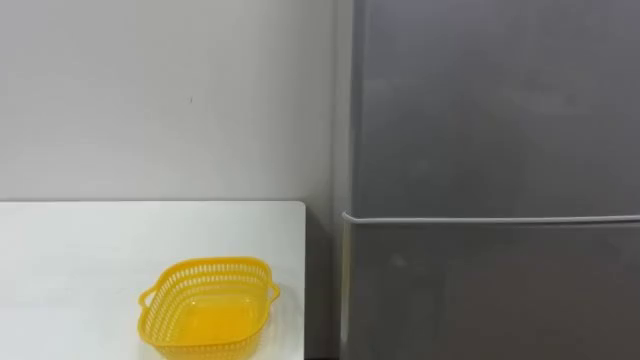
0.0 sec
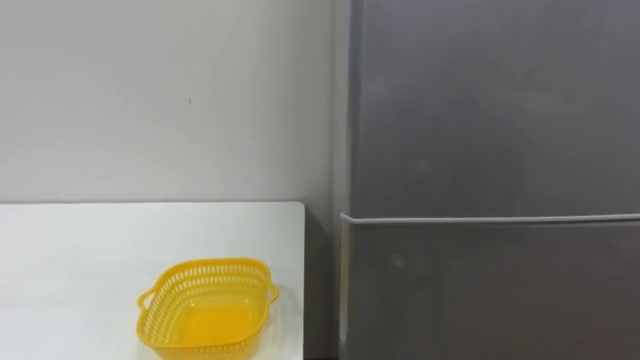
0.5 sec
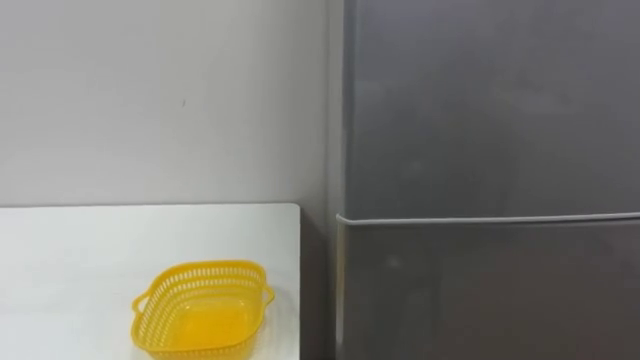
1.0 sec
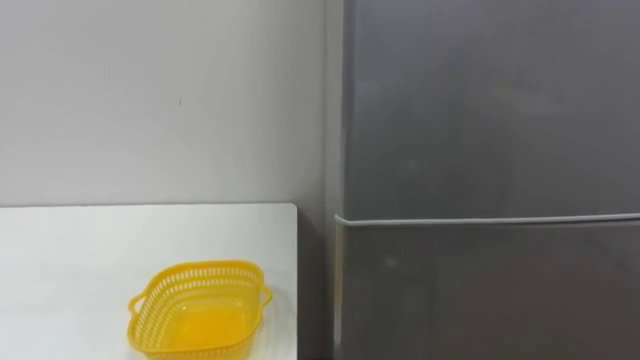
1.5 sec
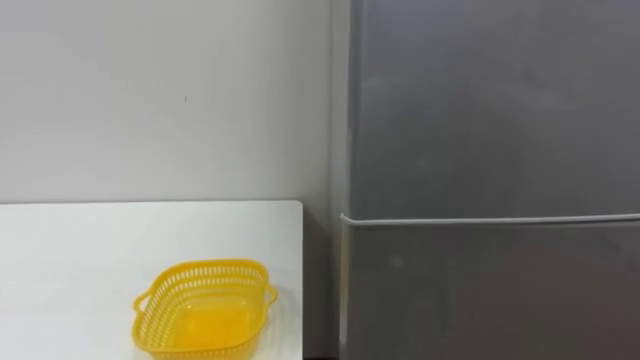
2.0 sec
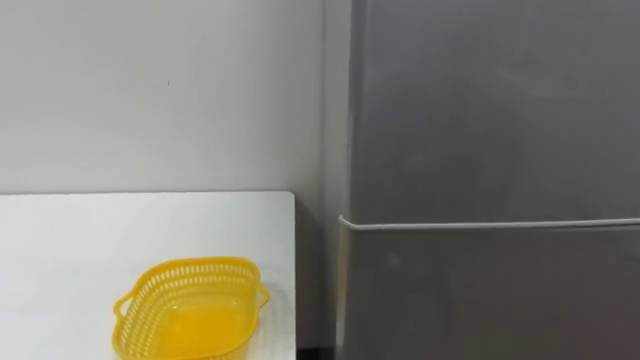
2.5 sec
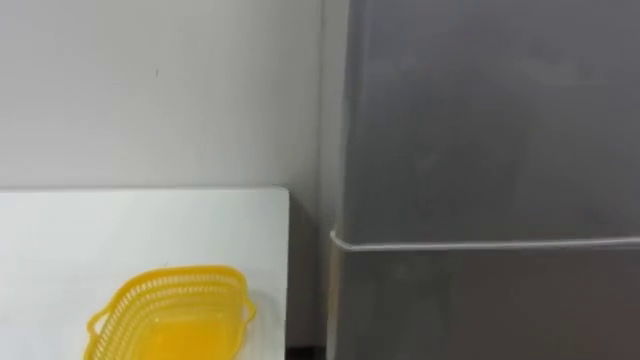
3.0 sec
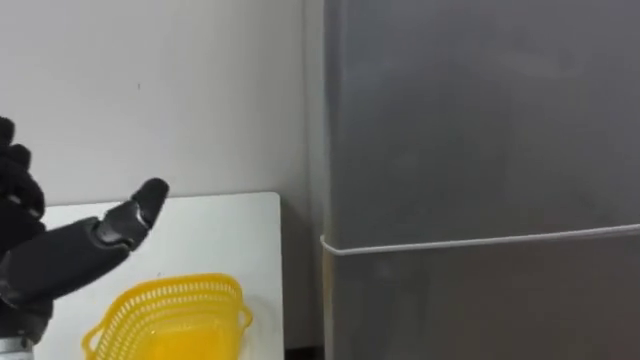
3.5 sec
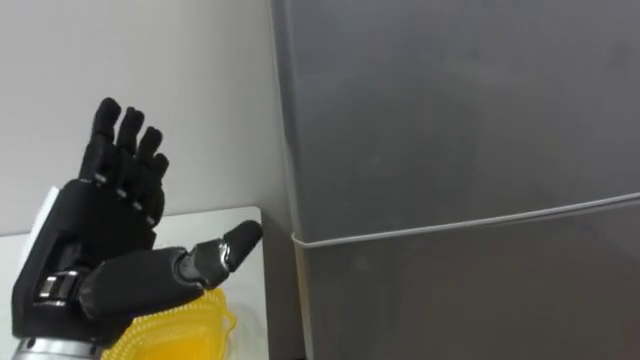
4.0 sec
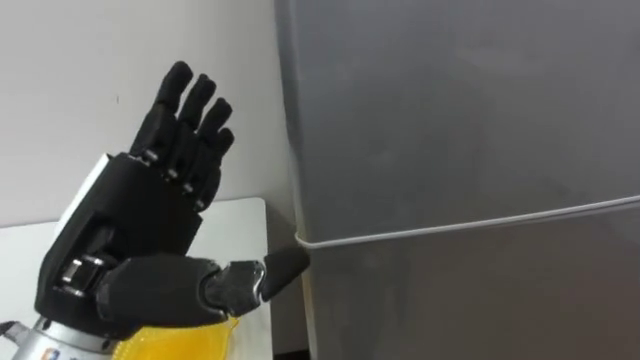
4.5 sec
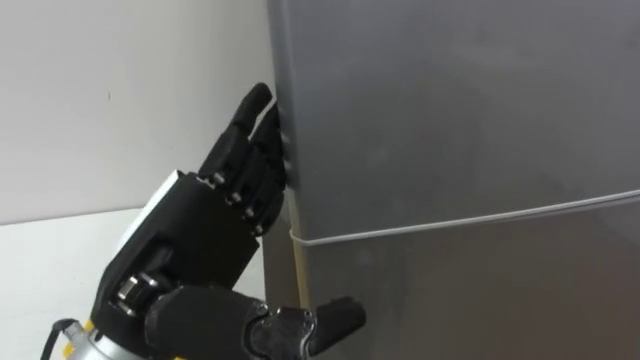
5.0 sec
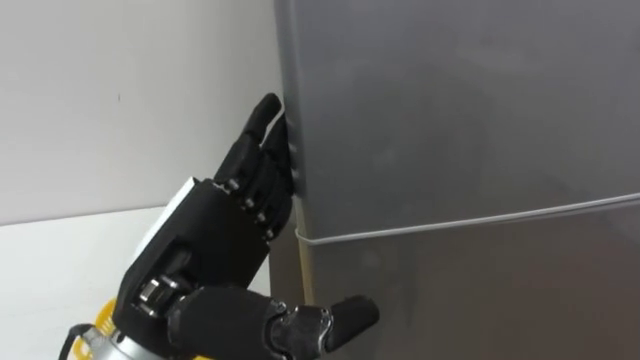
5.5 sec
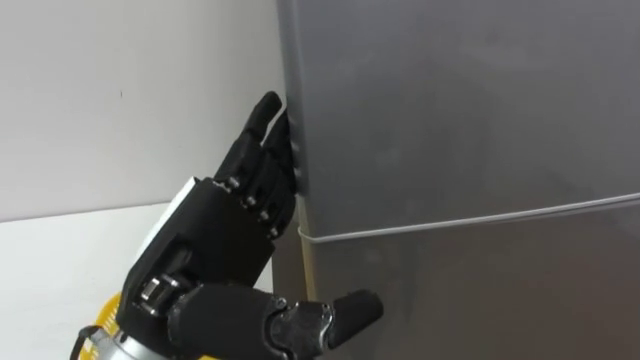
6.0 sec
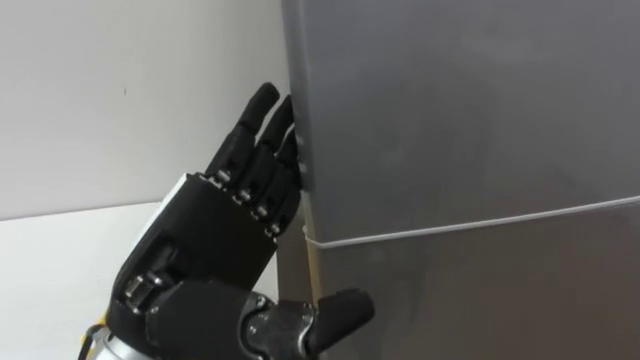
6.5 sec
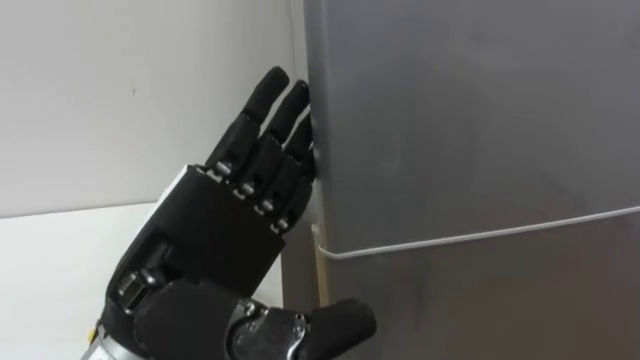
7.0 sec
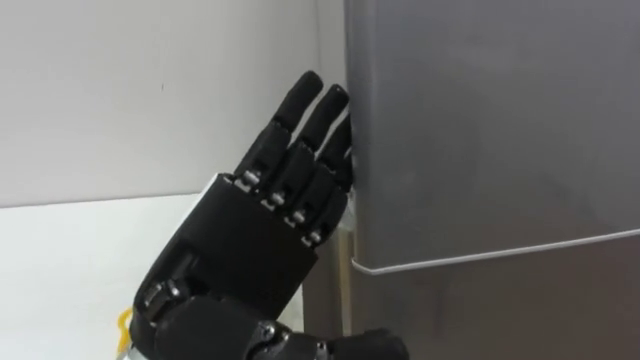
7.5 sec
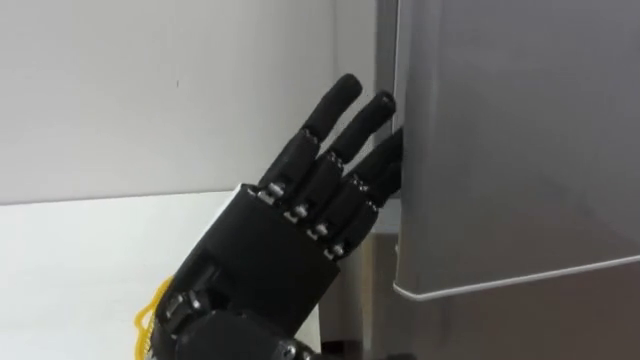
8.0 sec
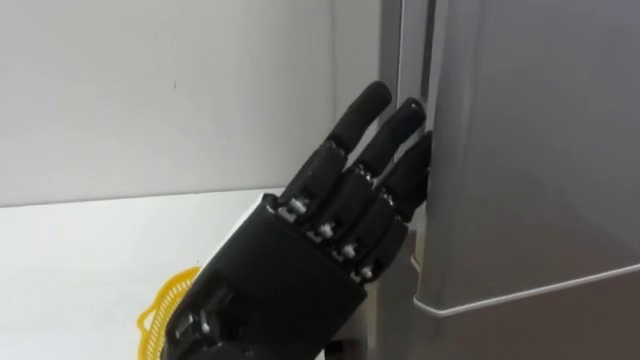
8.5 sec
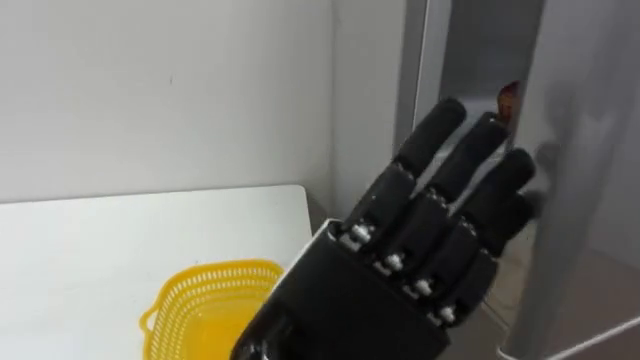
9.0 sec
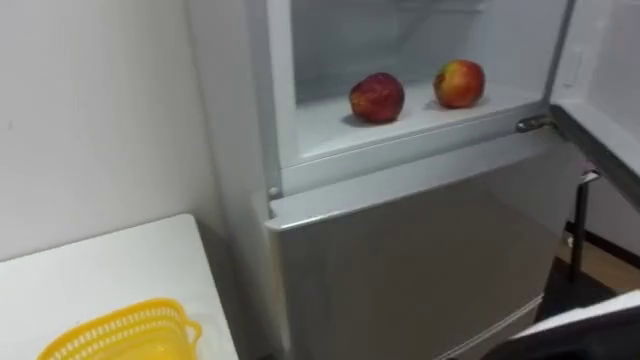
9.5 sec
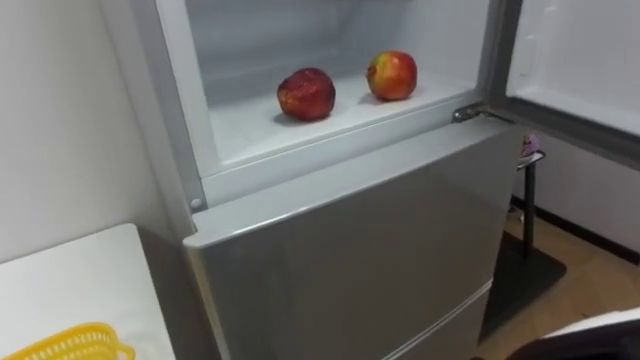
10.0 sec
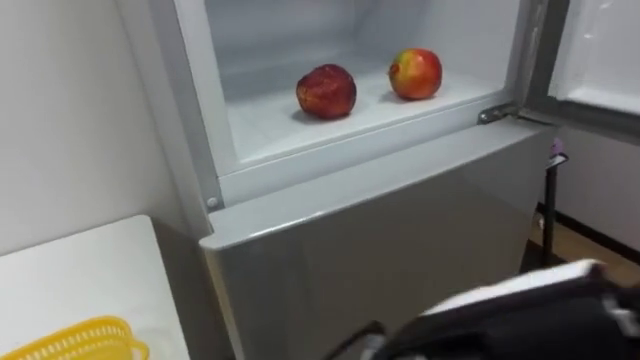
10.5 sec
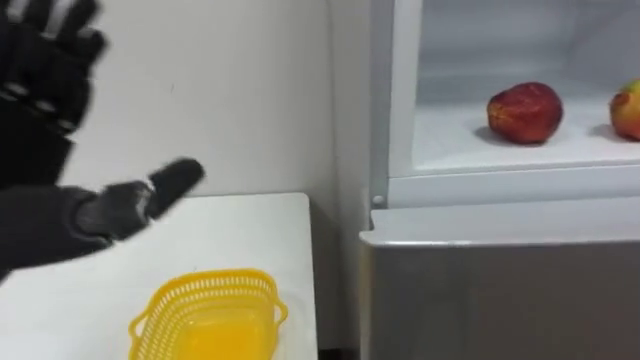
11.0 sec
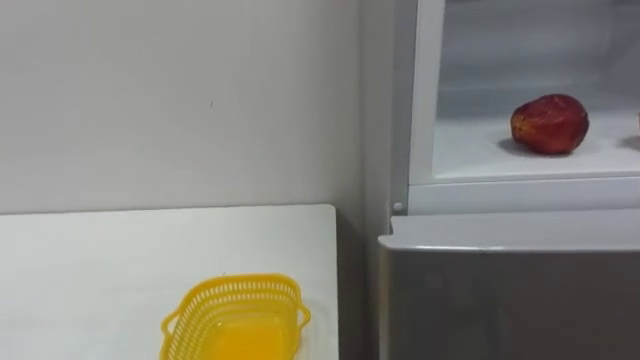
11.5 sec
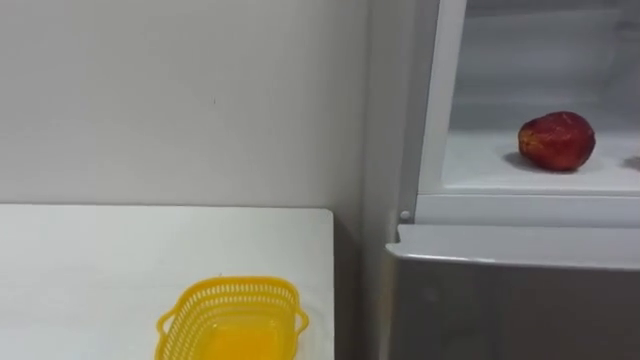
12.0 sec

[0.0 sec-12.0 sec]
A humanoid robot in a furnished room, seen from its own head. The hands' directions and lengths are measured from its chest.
Task of the whole recording: Open the refrigerator door, take out the apple and the pomegranate, place them in the fruit basket on the left, and close the refrigerator door.
4.0 sec to 6.0 sec: The left hand is displaced to the right by approximately 10 cm.

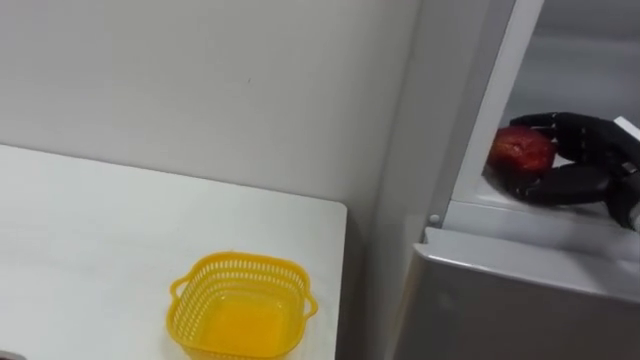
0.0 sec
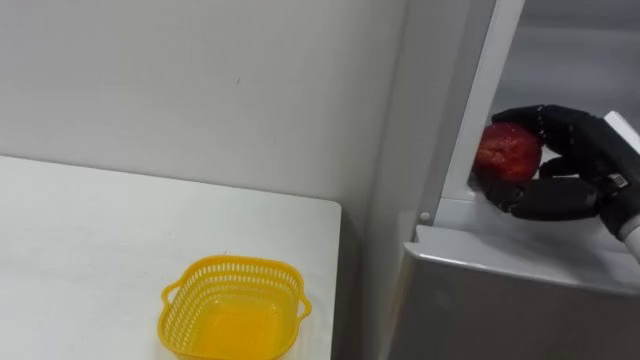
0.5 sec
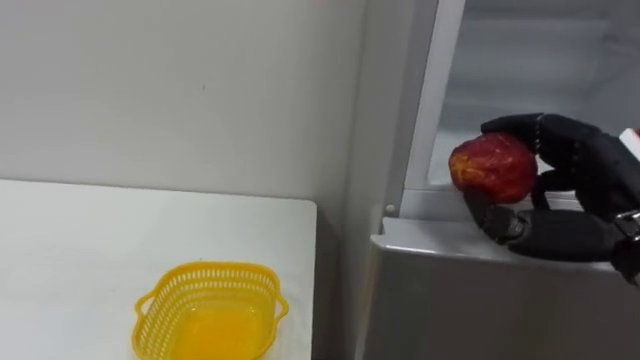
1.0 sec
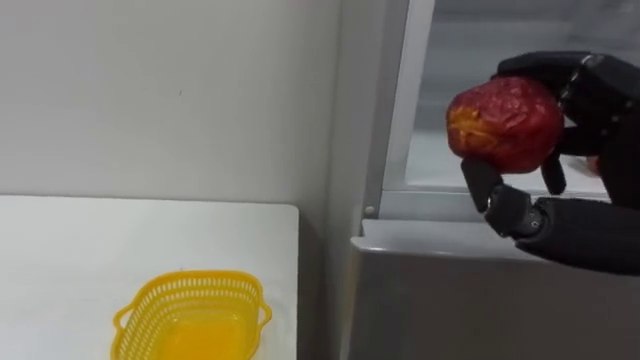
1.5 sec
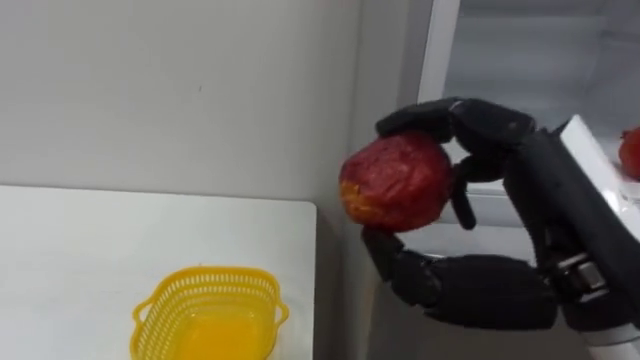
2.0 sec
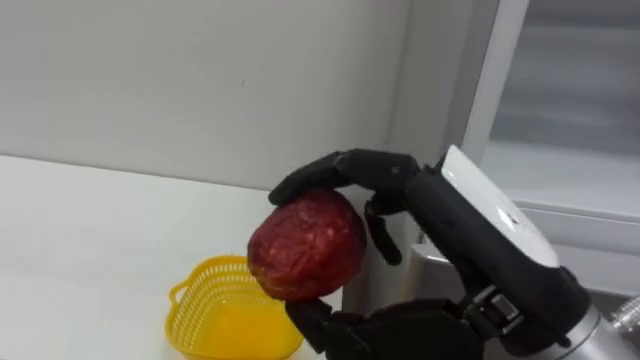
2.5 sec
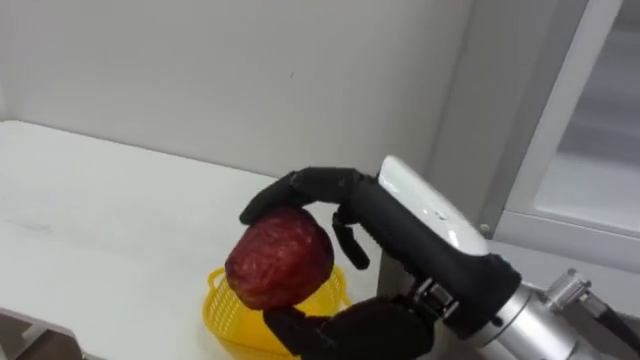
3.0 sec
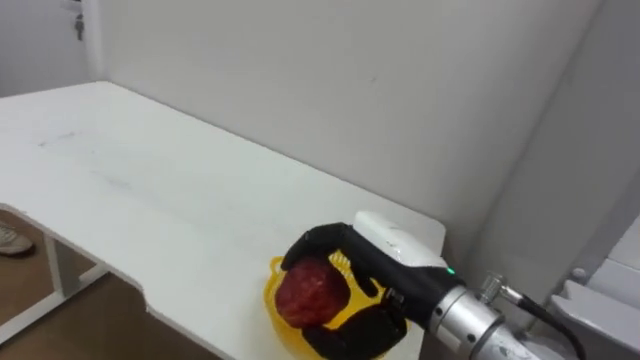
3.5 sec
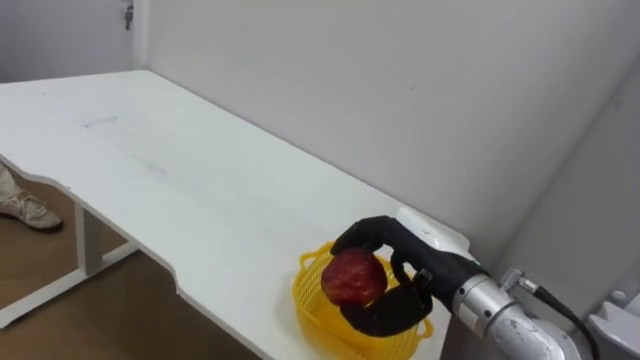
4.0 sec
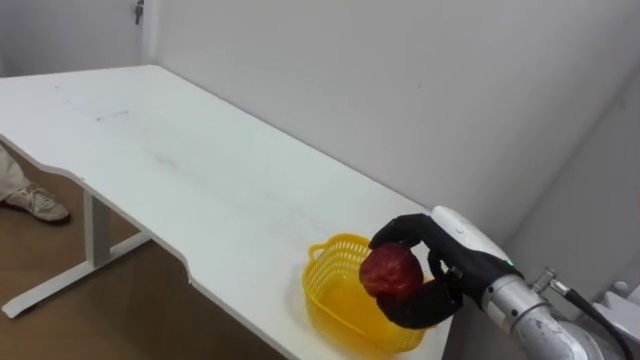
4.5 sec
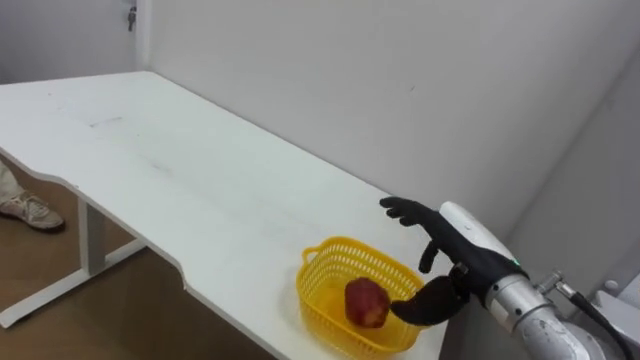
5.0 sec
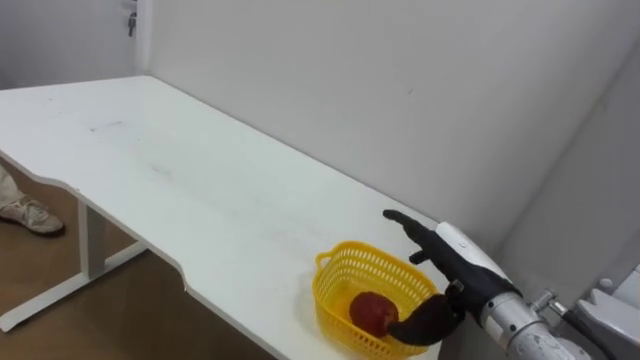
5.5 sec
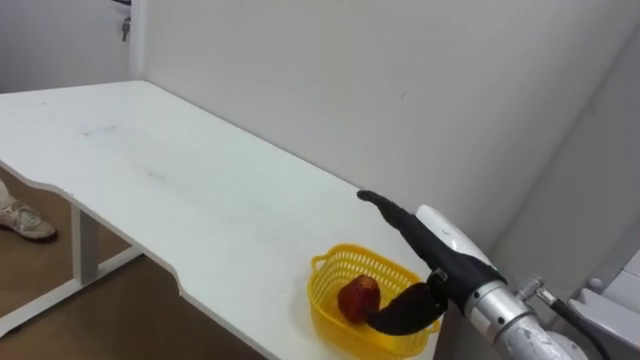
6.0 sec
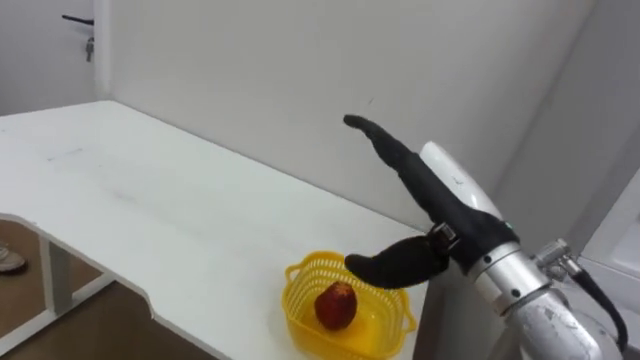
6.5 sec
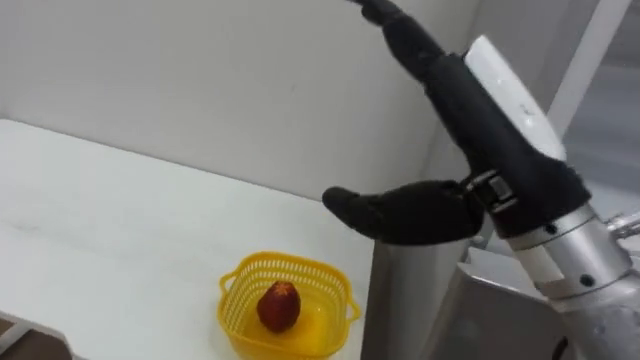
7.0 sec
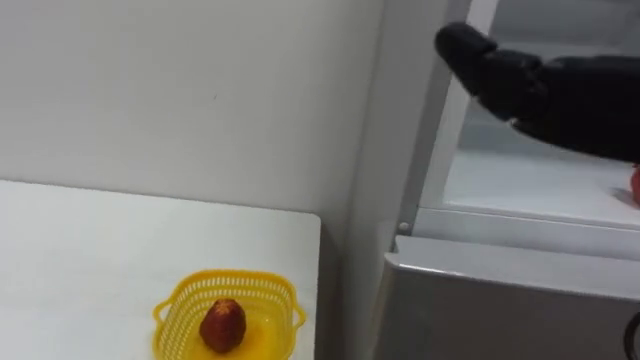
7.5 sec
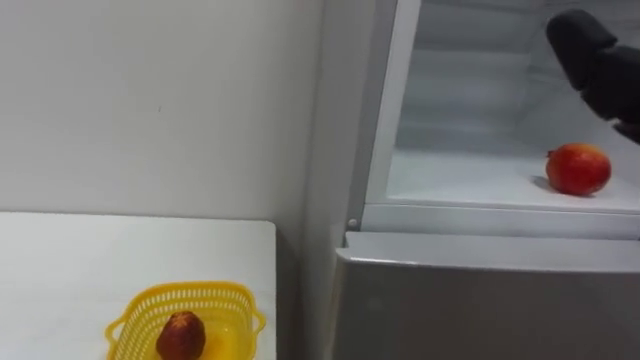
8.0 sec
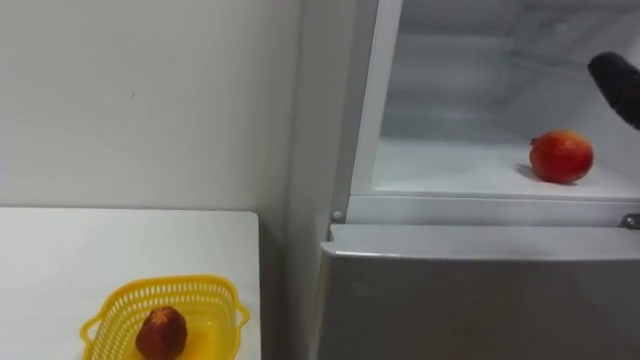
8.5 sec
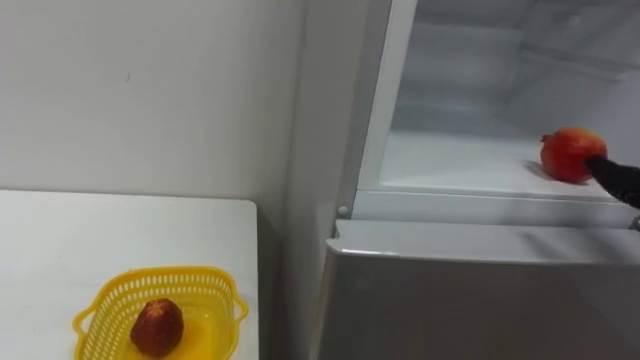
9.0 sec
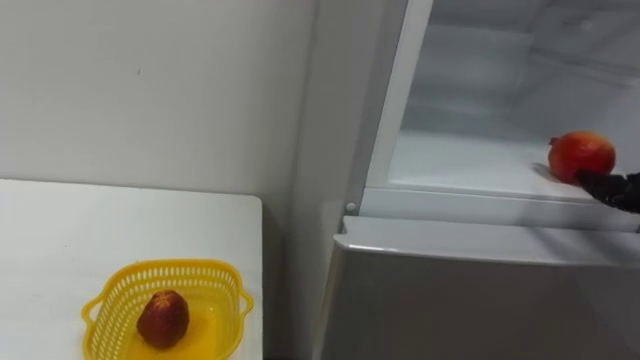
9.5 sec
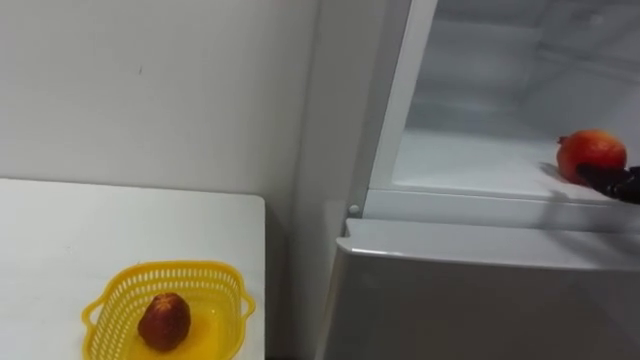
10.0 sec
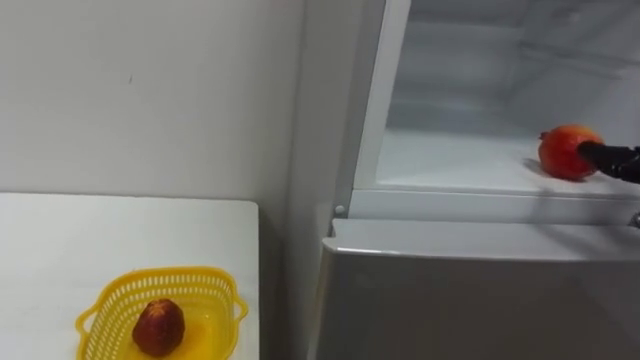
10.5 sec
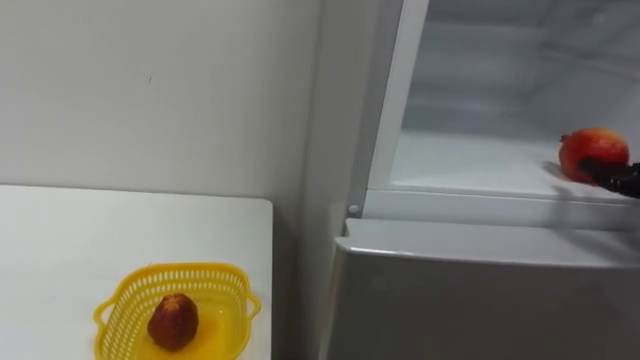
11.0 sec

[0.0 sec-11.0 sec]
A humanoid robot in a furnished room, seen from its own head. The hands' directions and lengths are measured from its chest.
Task of the whole recording: Open the refrigerator door, take out the apple and the pomegranate, place them in the fruit basket on the left, and close the refrigerator door.
0.0 sec to 2.0 sec: The right hand travels backward, to the left and upward by some 25 cm.
2.0 sec to 3.5 sec: The right hand heads downward, to the left and forward, covering about 15 cm.
3.5 sec to 5.5 sec: The right hand travels to the right, downward and forward by approximately 10 cm, and opens its fingers.
